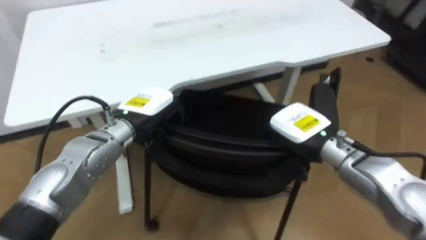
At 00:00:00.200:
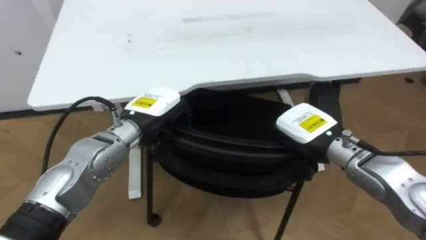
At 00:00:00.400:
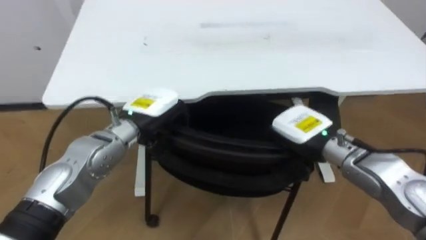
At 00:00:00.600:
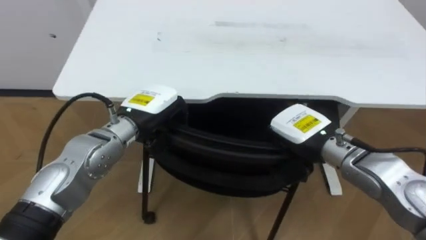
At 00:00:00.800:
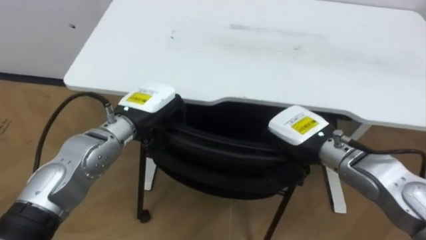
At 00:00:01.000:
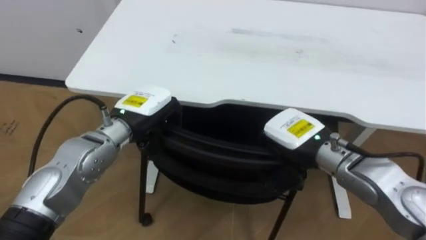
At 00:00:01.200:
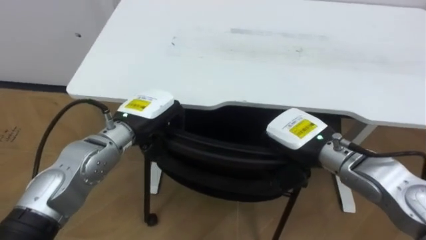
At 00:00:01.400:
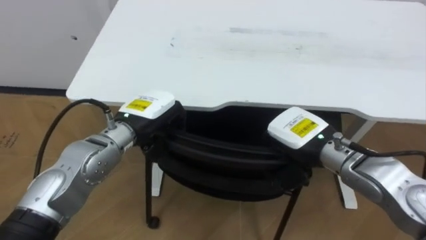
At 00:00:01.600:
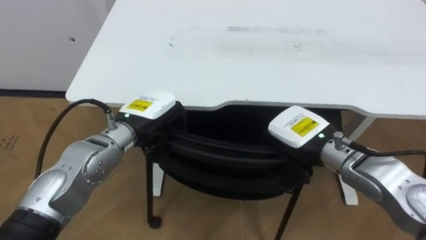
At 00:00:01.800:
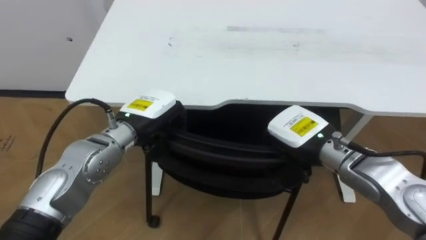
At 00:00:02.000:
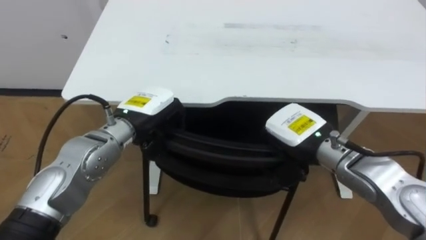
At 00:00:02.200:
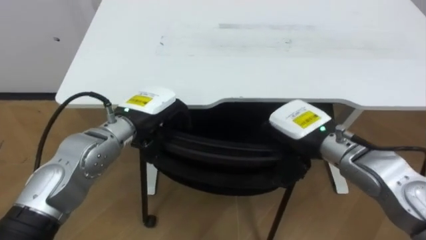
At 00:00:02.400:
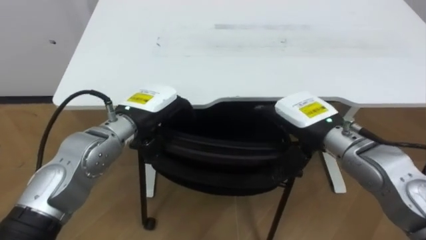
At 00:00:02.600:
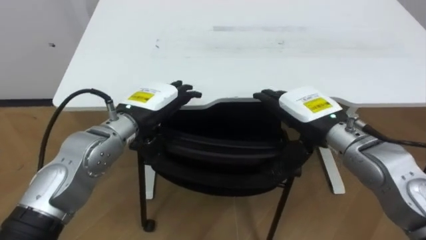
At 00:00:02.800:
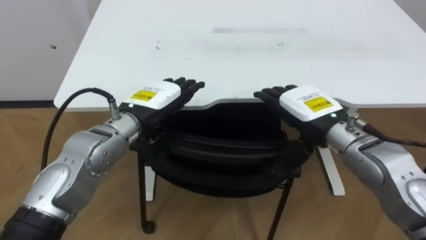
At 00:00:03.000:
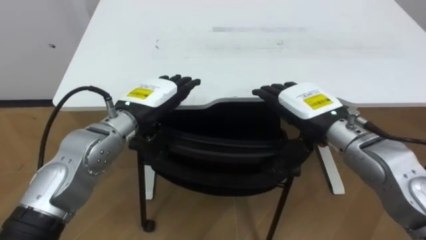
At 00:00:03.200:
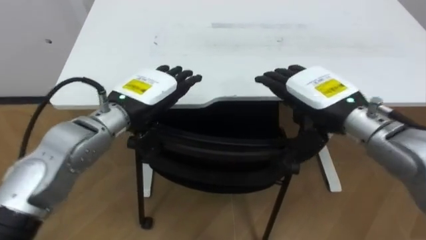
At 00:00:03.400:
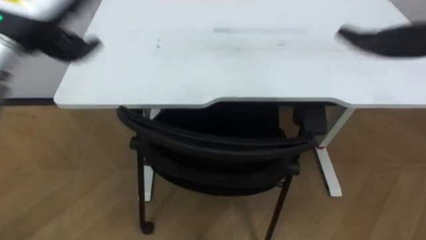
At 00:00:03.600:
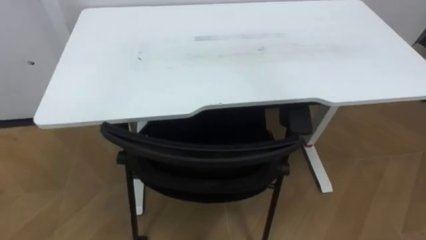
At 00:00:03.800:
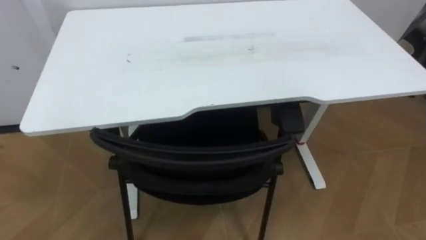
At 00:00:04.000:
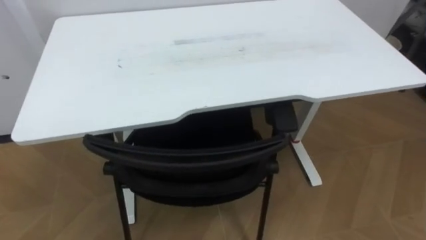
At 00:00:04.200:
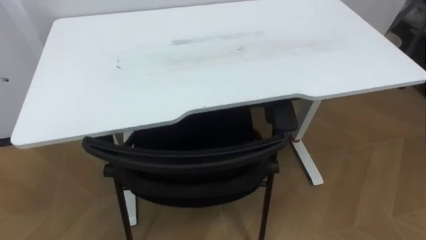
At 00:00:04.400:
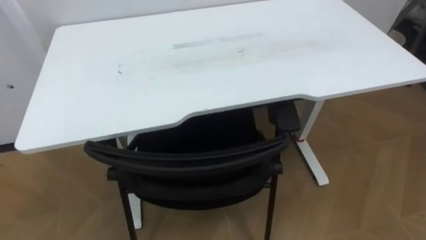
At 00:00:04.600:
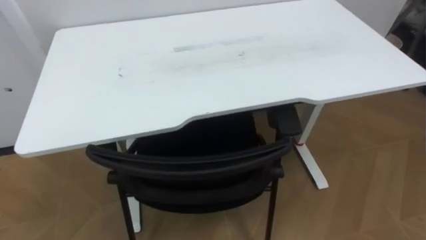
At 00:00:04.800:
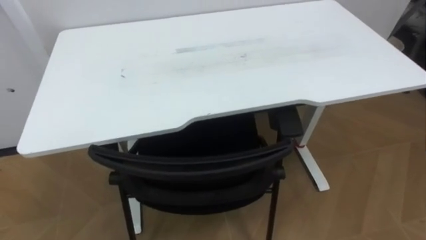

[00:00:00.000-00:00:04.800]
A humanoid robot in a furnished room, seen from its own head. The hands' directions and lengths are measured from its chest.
Task of the whole recording: Push the chair under the table.
00:00:00.000 to 00:00:01.600: The robot faces roughly 15 degrees further to its left.
00:00:01.600 to 00:00:03.200: The right hand heads upward, covering some 5 cm, and opens its fingers; the left hand opens up.

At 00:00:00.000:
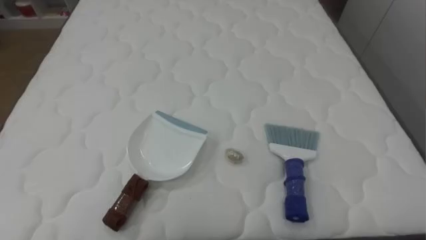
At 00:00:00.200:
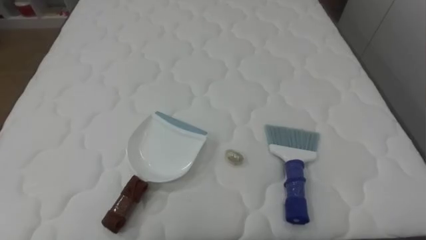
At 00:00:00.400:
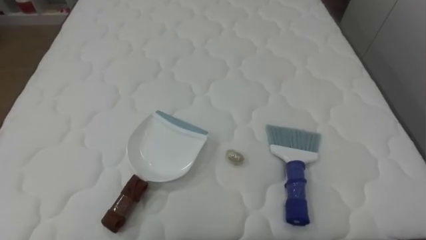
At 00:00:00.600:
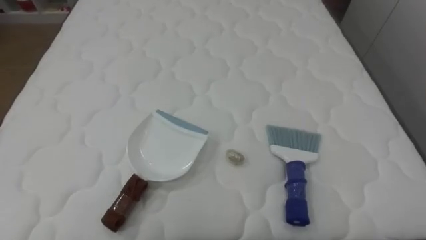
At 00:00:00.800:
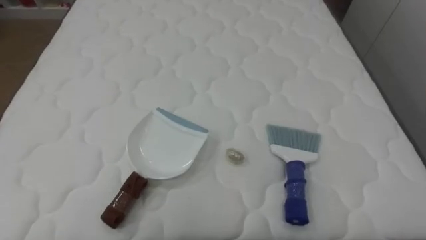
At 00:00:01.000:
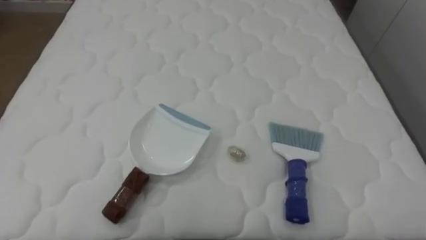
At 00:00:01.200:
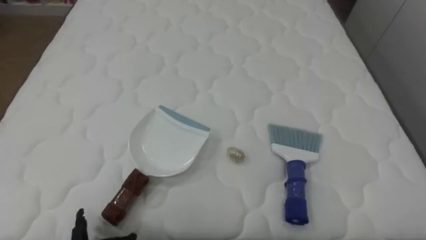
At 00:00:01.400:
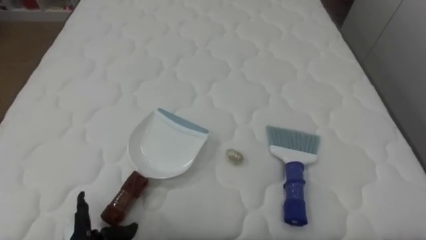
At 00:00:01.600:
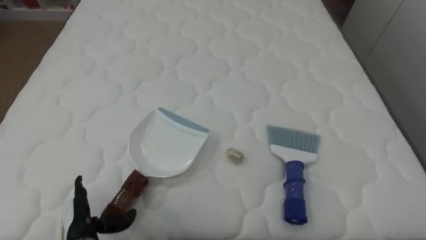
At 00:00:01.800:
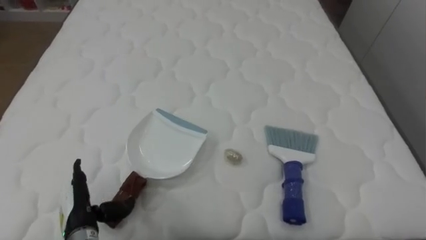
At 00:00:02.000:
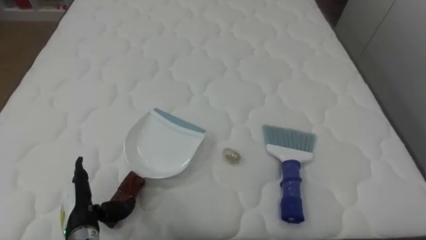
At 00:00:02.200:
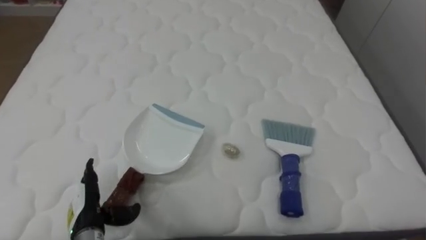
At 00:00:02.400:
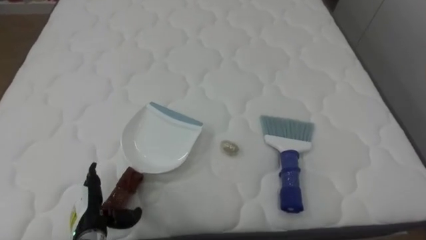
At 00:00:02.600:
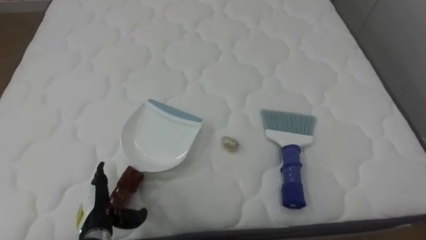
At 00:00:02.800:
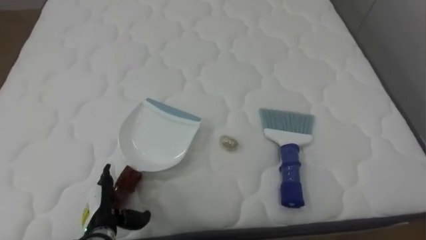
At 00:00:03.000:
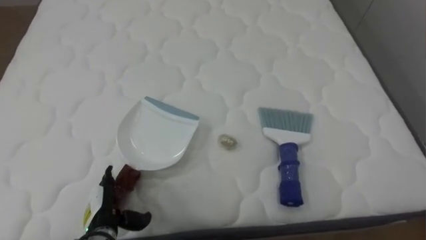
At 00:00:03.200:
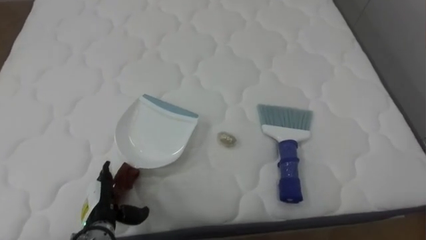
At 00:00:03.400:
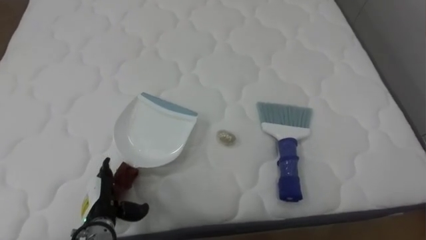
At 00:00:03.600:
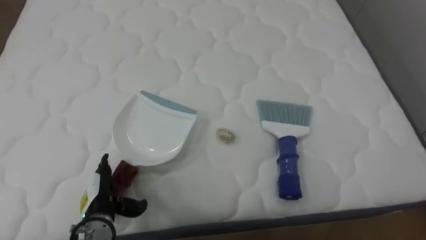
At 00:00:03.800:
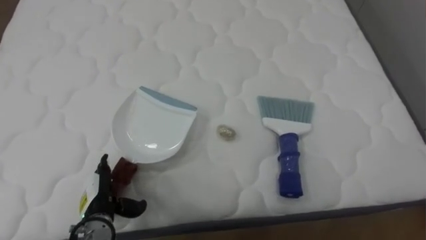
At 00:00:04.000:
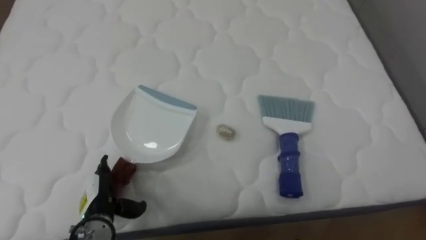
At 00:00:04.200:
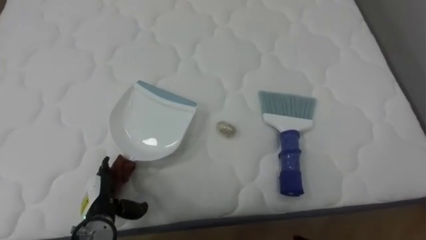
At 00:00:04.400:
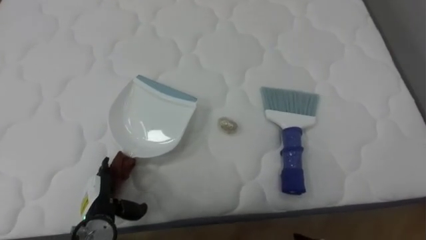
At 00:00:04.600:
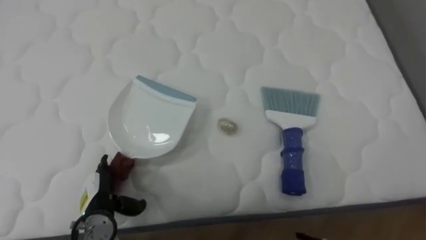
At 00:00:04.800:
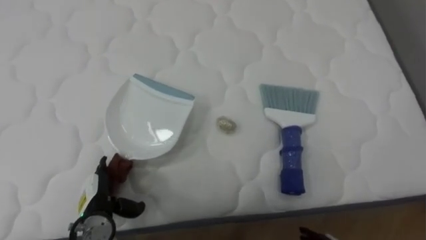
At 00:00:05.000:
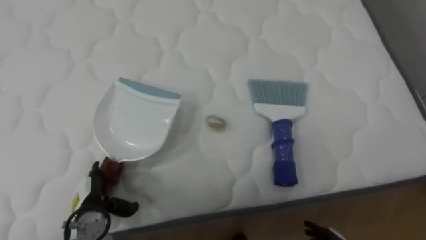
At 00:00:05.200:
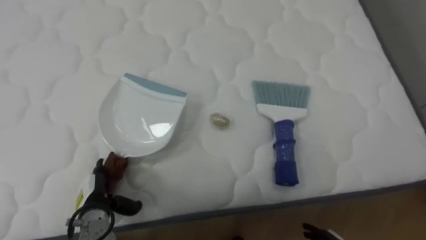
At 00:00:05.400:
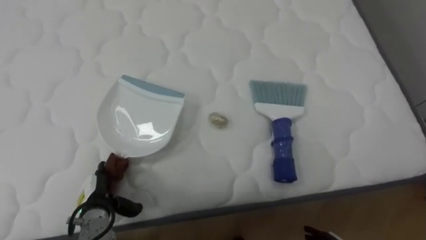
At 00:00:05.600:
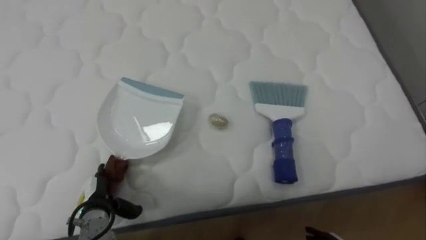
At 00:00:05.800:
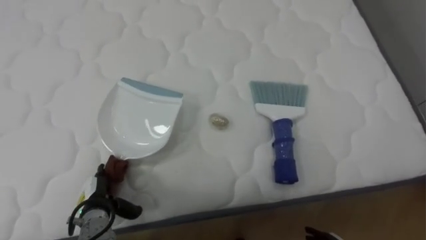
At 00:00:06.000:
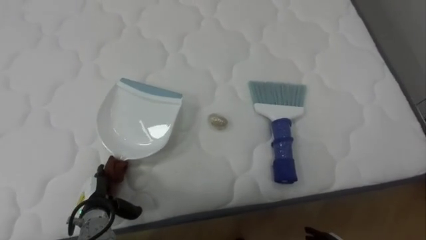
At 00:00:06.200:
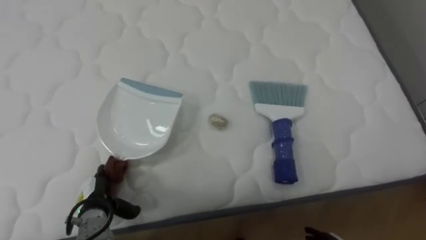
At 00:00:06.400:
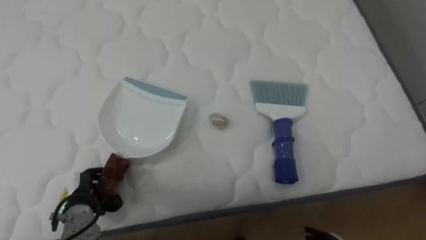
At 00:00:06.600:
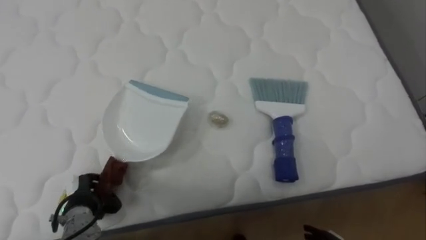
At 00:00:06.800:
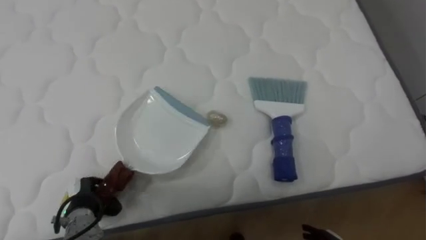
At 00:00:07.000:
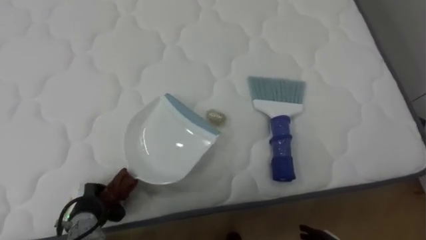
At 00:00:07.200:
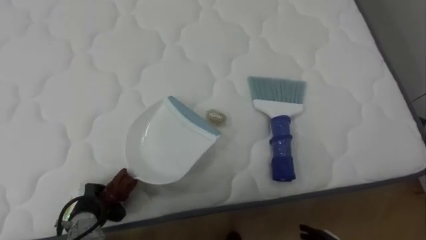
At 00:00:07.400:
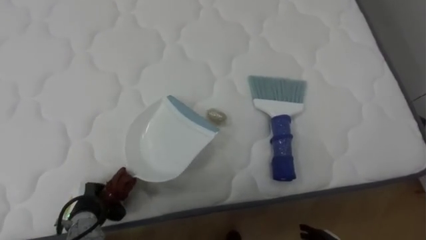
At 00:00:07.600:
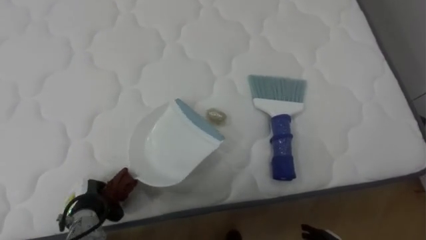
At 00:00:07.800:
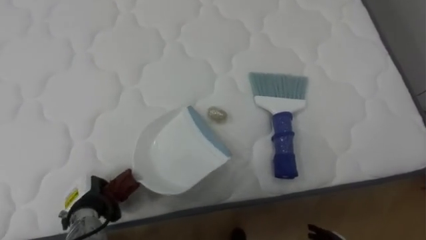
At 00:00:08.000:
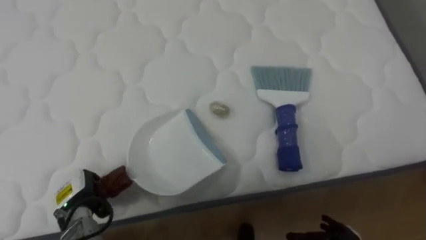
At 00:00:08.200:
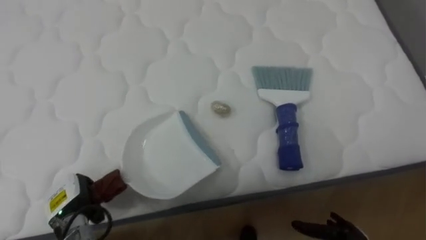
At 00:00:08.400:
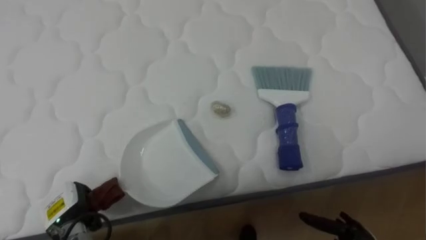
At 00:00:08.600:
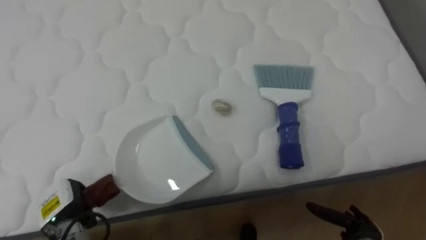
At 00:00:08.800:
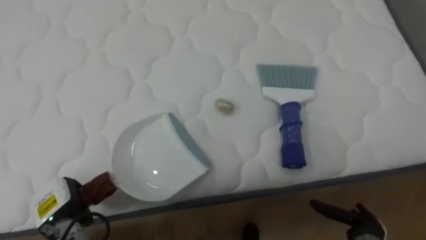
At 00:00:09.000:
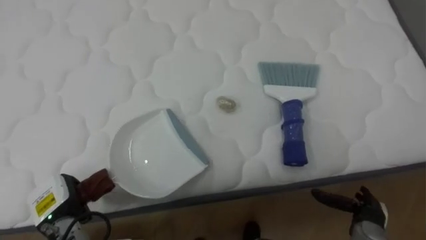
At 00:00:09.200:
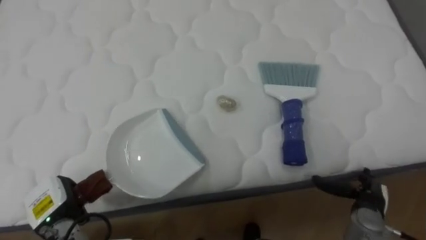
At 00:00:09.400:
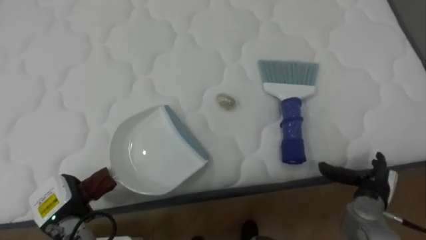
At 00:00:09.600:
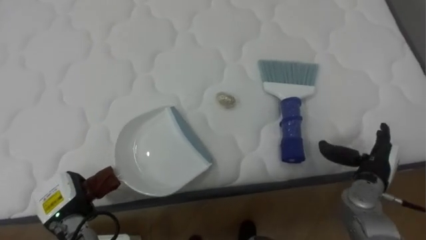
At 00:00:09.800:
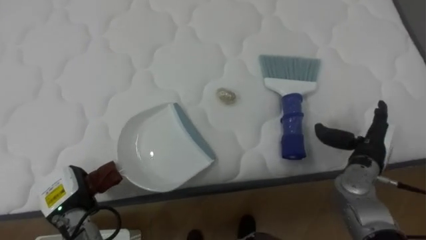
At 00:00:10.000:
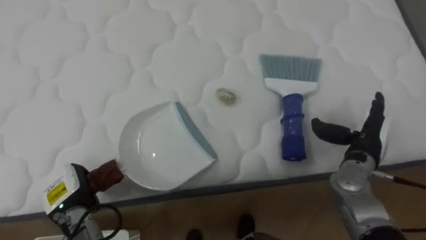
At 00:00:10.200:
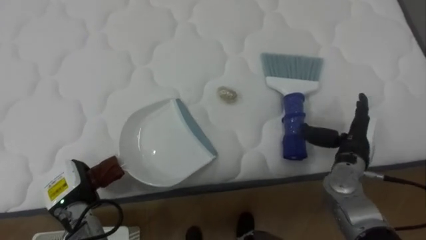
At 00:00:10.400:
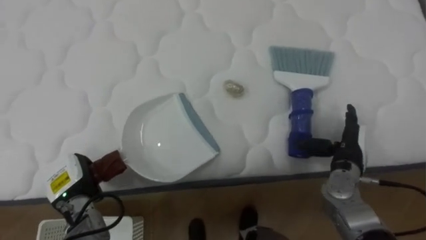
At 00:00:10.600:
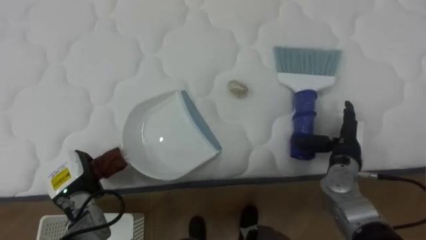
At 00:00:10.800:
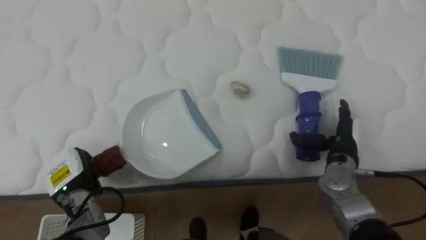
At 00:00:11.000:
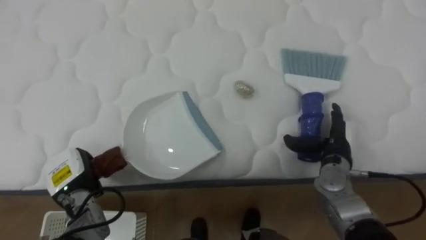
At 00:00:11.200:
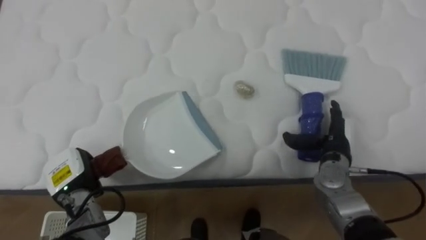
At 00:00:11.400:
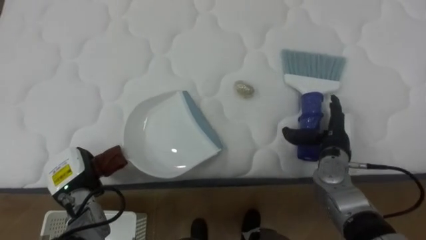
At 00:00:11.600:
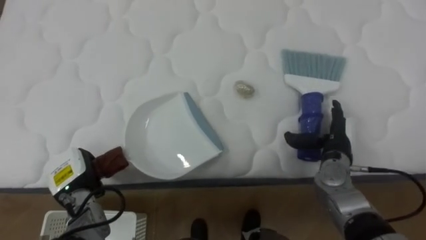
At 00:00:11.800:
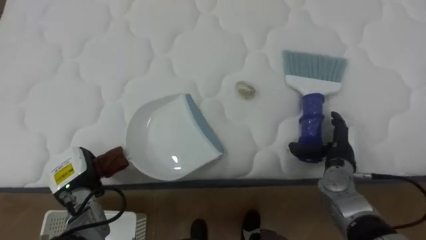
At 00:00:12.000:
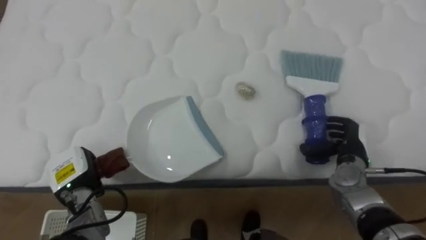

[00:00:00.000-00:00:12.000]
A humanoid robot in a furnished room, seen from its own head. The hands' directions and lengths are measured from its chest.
Task of the whole recording: Pick up the brush on your right and the dustpan on your left. Use the brush to sweep the crumpled paper on the bed into the dustpan, then turn left and empty it into the basket.
00:00:06.000 to 00:00:07.600: The left hand closes its fingers.
00:00:07.600 to 00:00:09.000: The left hand moves approximately 5 cm.
00:00:09.000 to 00:00:10.400: The right hand moves upward and forward, some 15 cm.
